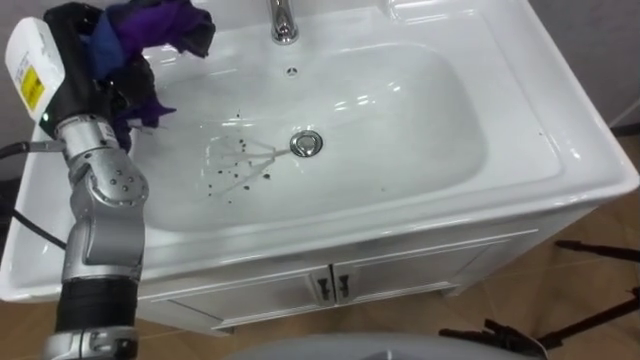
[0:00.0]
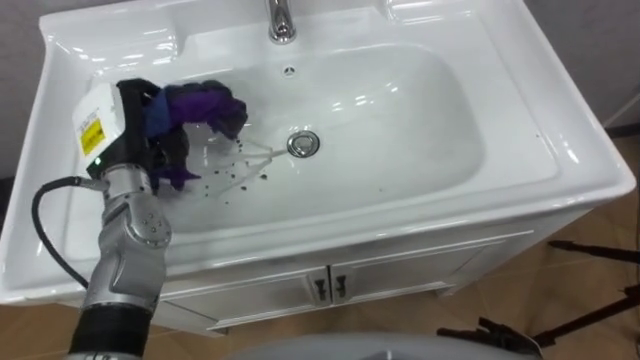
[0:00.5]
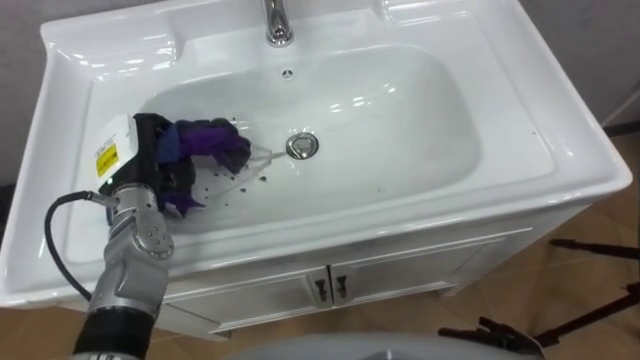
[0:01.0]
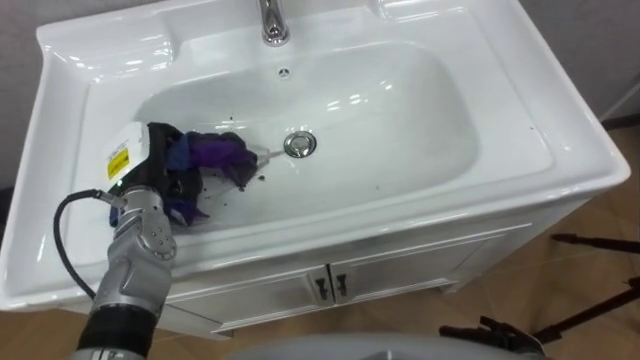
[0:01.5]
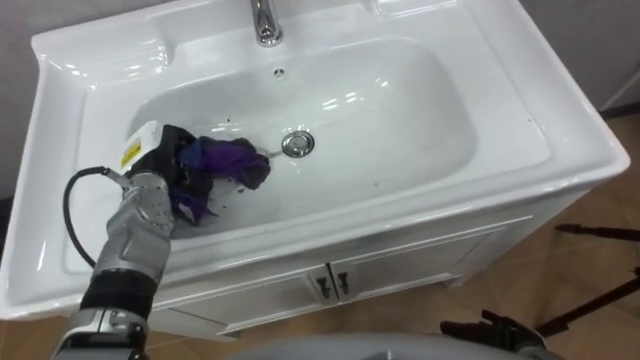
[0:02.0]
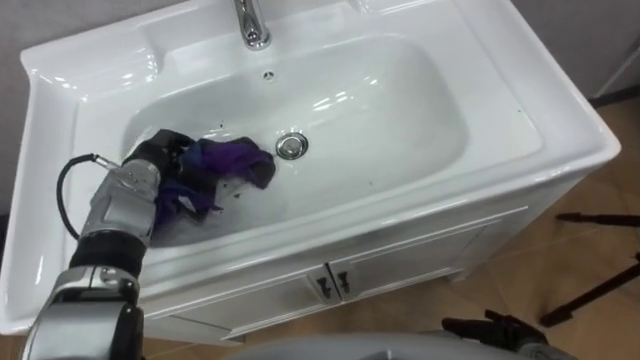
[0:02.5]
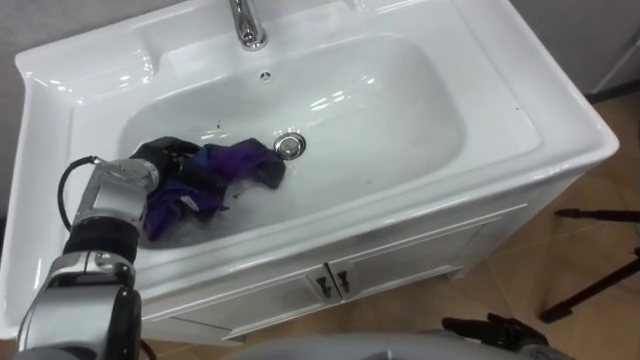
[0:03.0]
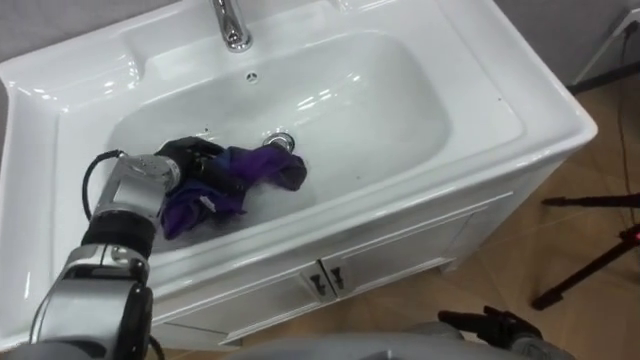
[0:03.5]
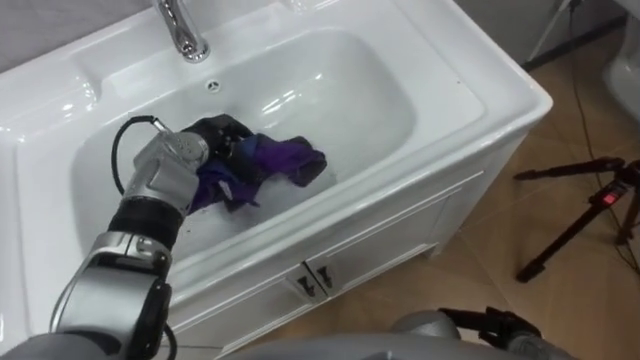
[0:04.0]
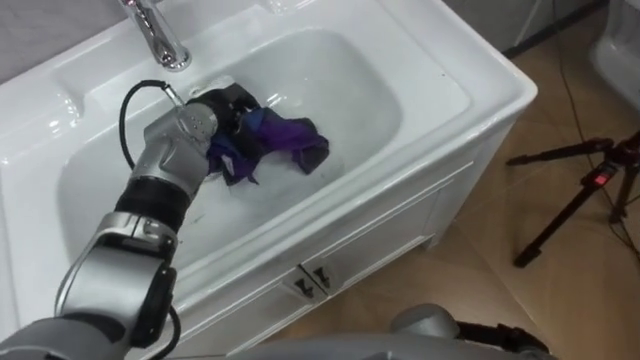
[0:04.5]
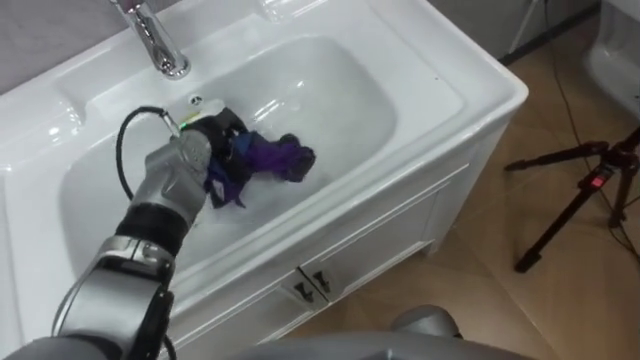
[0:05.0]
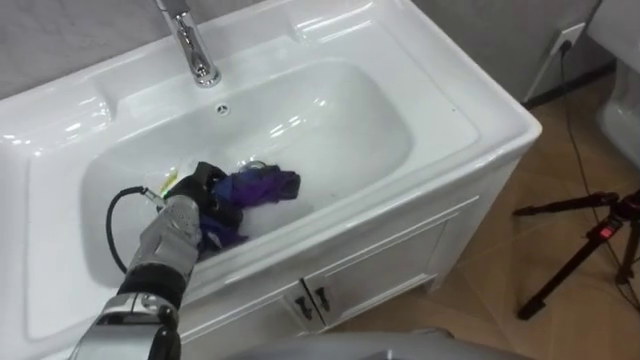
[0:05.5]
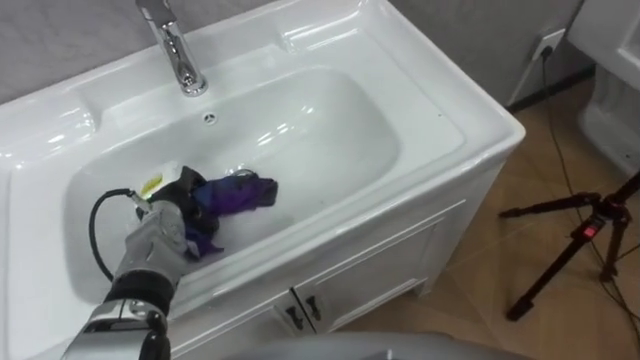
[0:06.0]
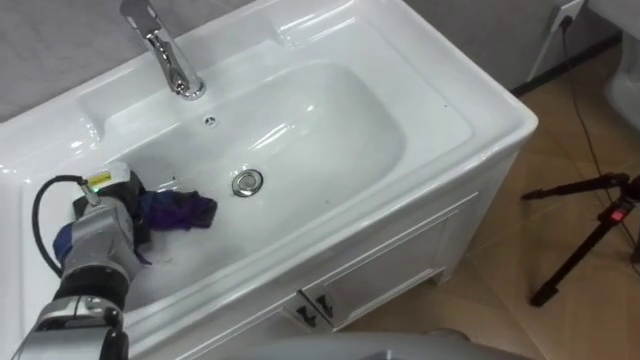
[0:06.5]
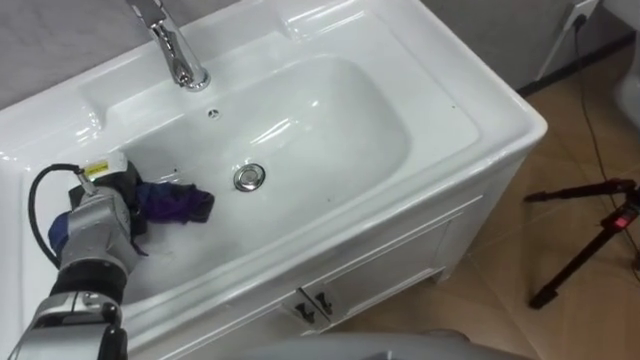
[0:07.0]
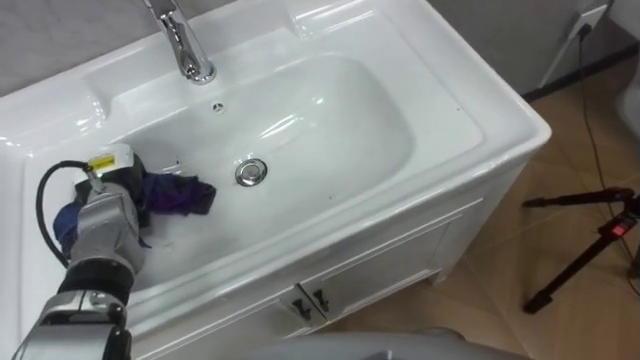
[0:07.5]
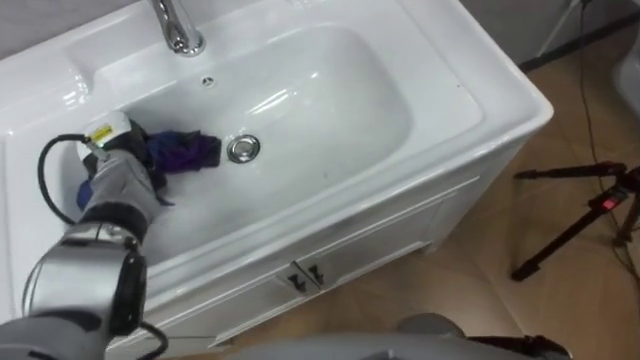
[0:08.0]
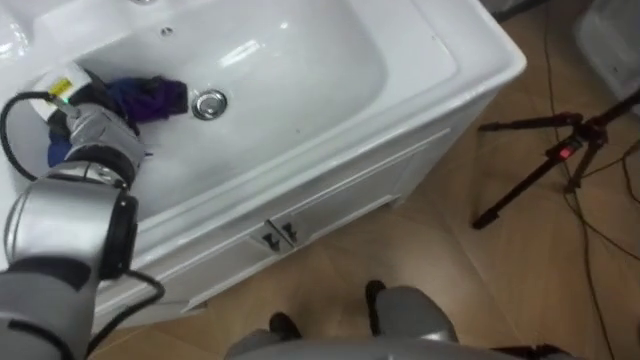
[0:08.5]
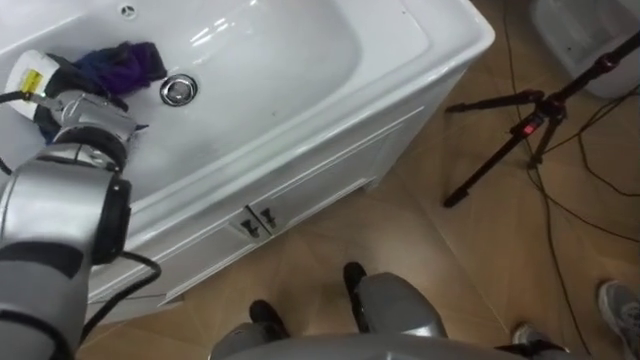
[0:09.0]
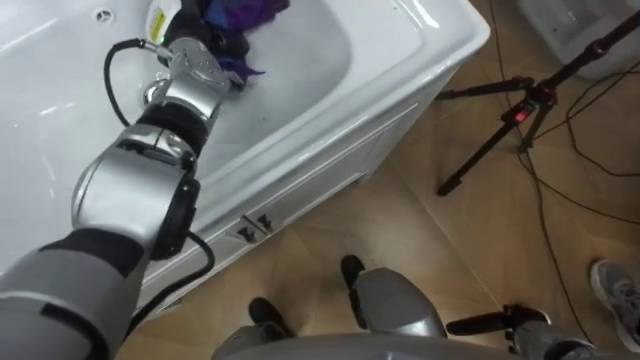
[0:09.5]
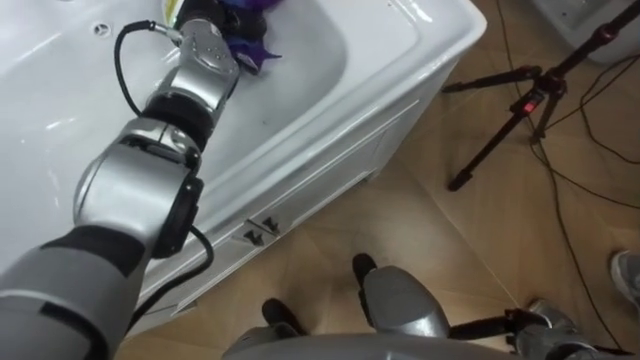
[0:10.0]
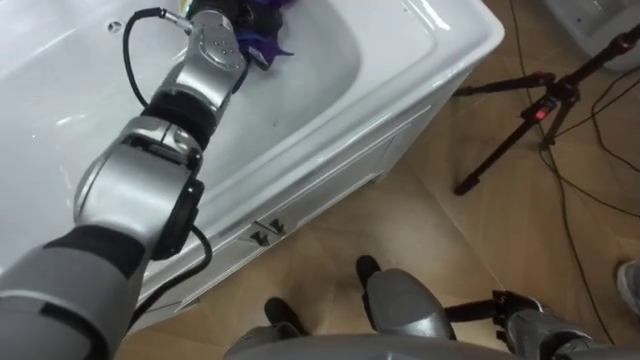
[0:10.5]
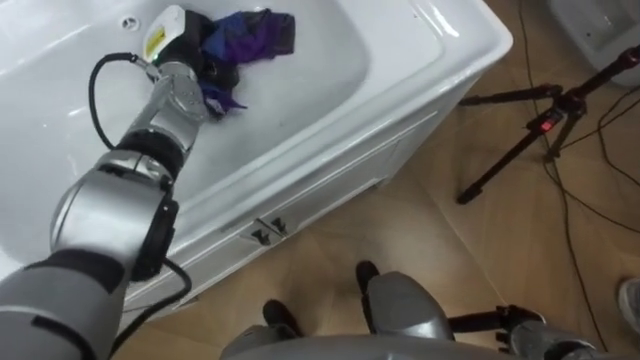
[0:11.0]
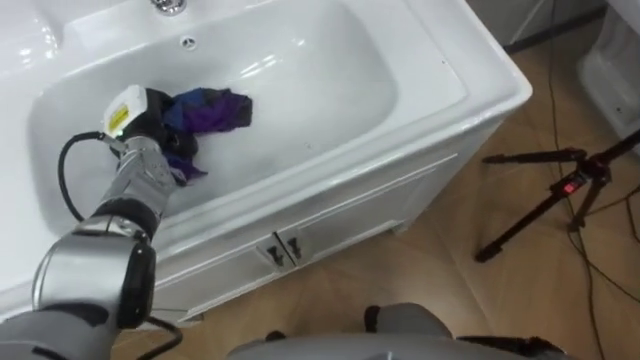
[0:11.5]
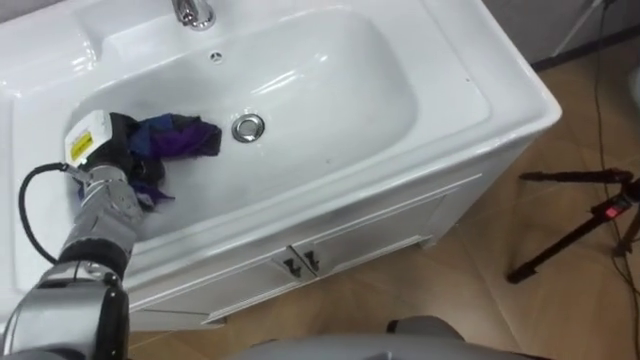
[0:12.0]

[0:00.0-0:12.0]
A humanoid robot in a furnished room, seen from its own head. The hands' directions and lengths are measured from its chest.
Task of the whole recording: Use the cloth on the right to wipe away the black stain in the sink.
0:00.0 to 0:02.0: The left hand goes roughly 15 cm downward.
0:02.0 to 0:04.0: The left hand is displaced to the right by about 5 cm.
0:04.0 to 0:06.0: The left hand travels backward, to the left and downward by approximately 10 cm.
0:06.0 to 0:08.0: The left hand moves to the left, forward and upward, approximately 10 cm.
0:08.0 to 0:10.0: The left hand is displaced to the right, upward and forward by approximately 25 cm.

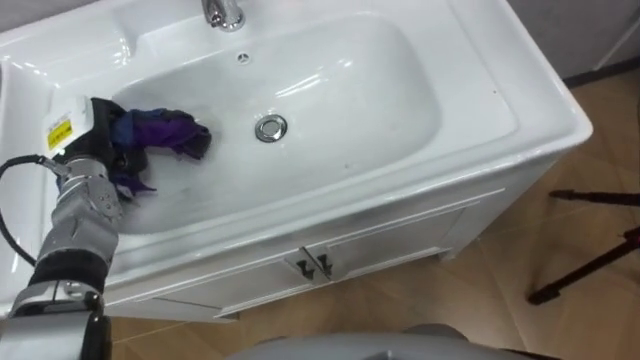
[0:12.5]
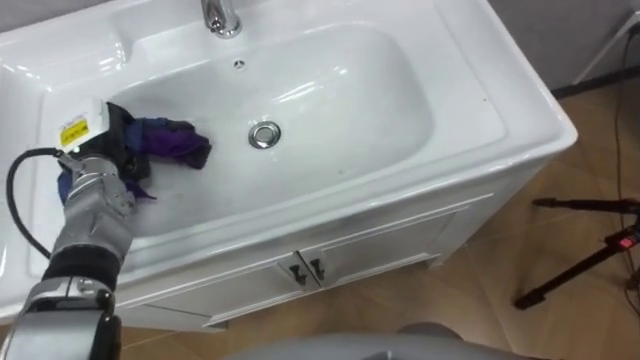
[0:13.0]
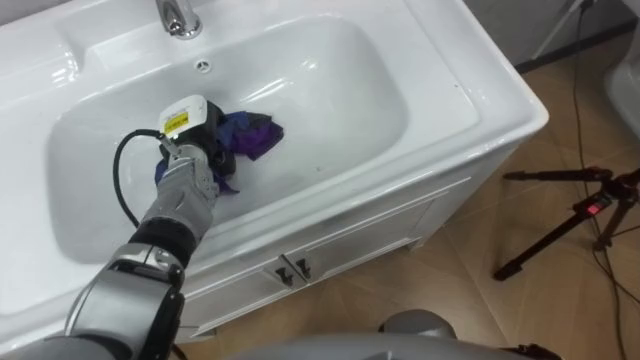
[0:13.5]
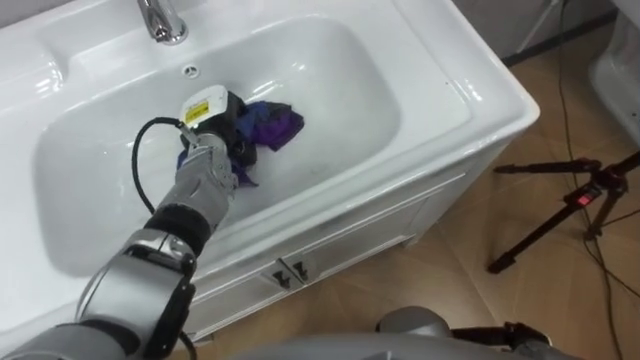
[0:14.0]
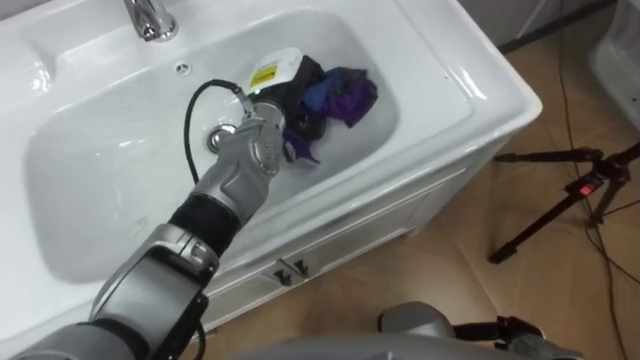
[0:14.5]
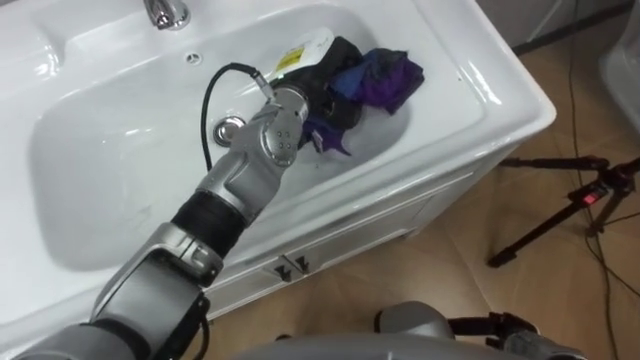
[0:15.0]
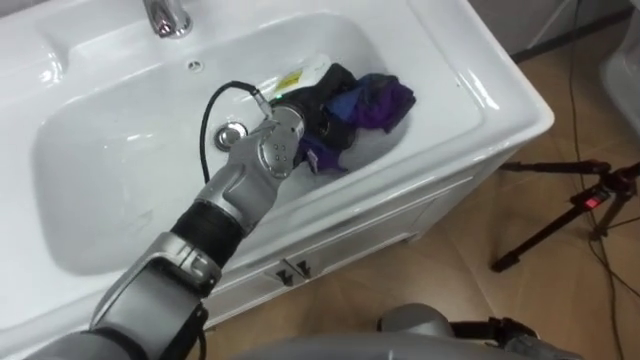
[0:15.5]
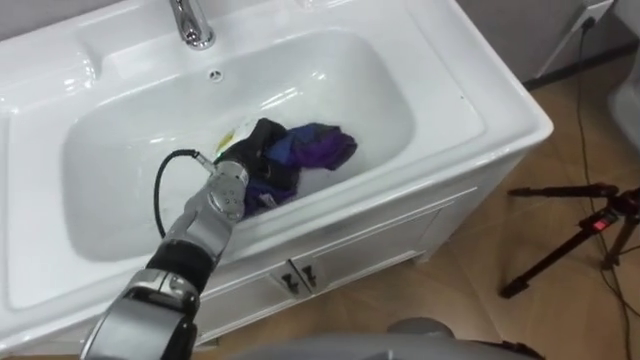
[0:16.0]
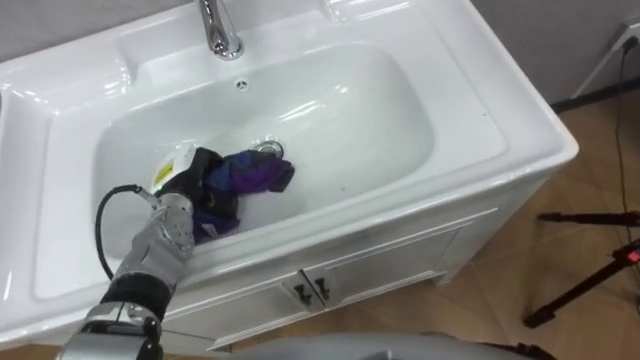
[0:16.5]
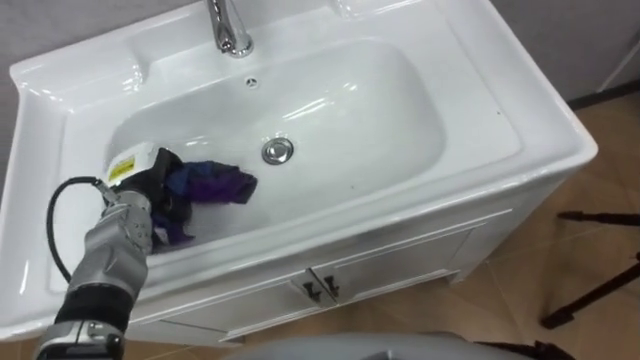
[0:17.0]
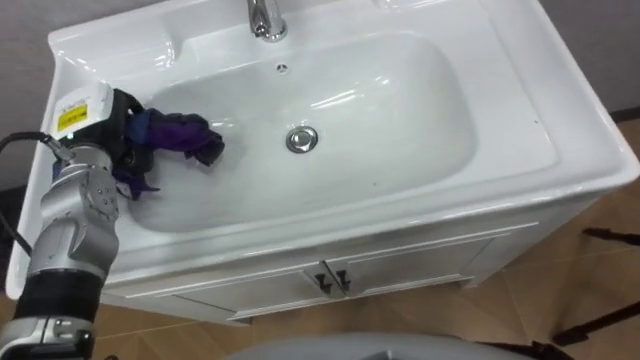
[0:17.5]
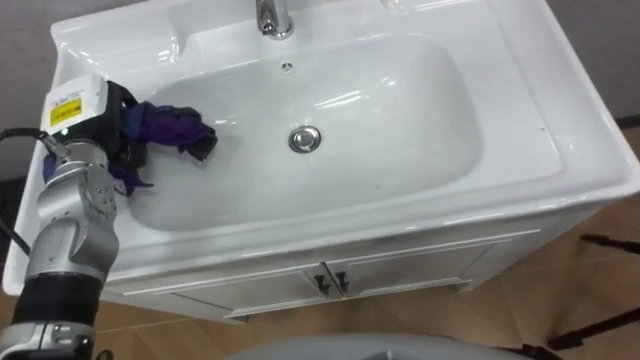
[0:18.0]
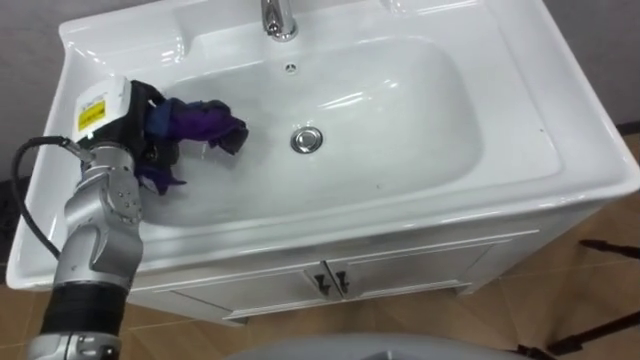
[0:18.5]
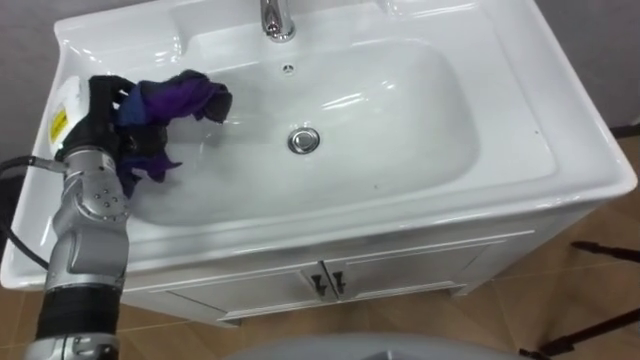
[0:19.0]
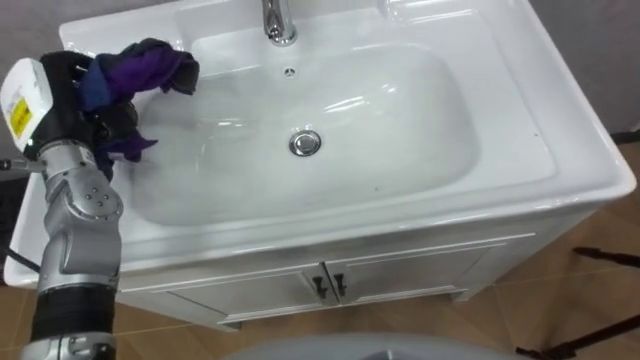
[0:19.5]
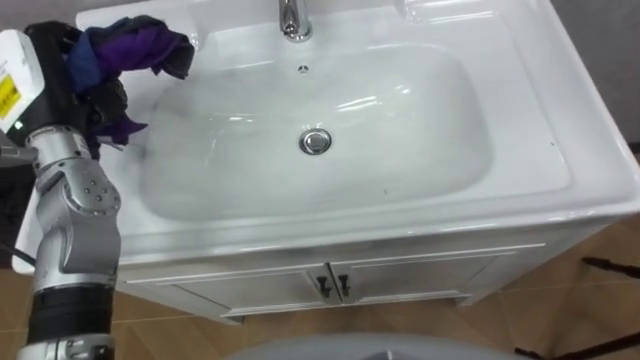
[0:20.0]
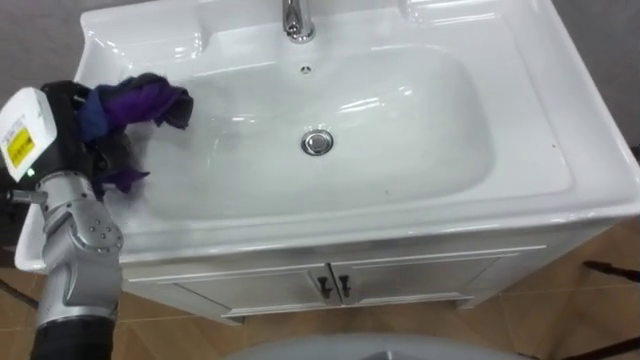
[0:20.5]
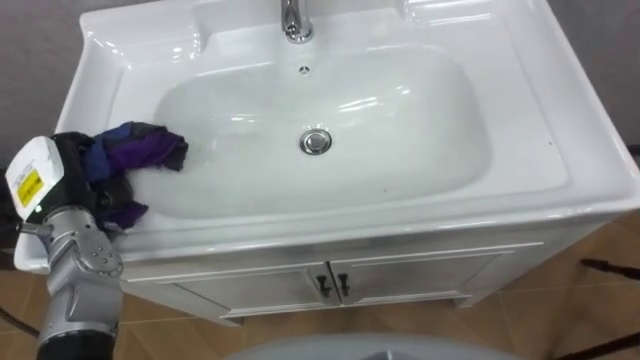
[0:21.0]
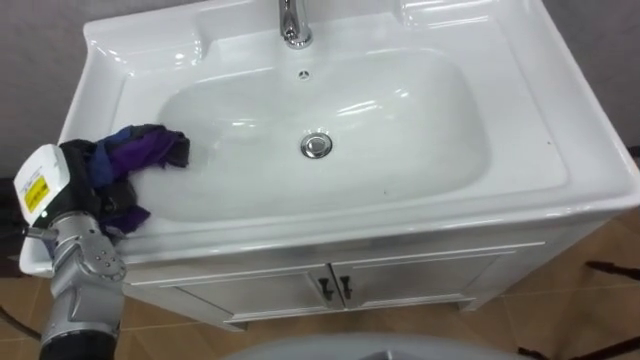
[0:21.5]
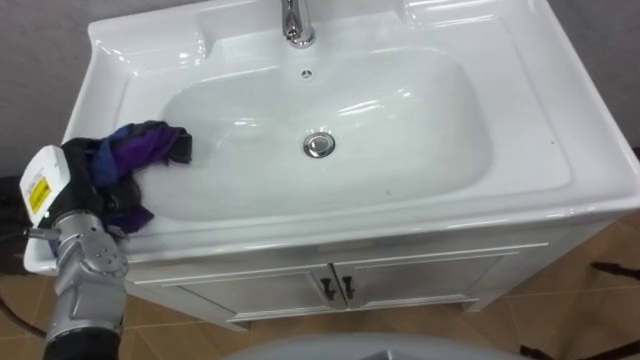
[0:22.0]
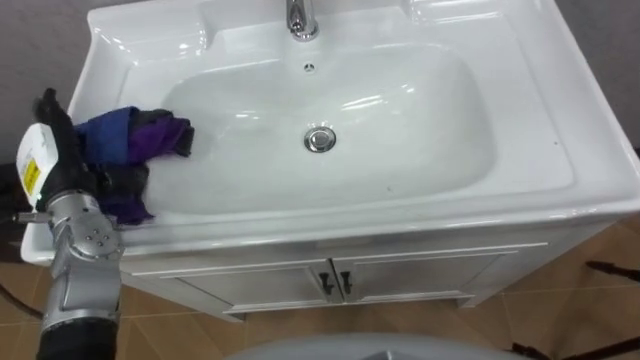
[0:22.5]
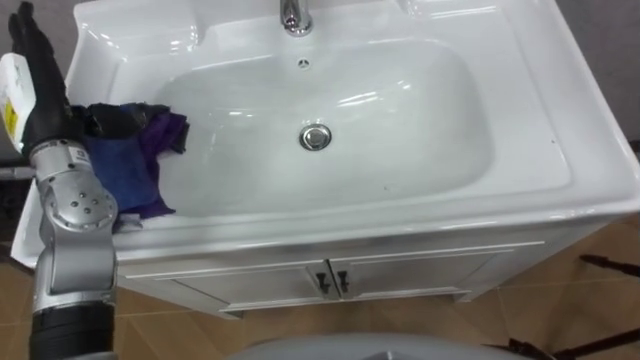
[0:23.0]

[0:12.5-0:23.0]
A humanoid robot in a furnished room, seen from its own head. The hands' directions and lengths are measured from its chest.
Task of the whole recording: Use the cloth on the right to wipe away the black stain in the sink.
0:12.5 to 0:14.5: The left hand shifts about 25 cm to the right.
0:14.5 to 0:16.5: The left hand travels to the left, downward and backward by approximately 20 cm.
0:16.5 to 0:19.0: The left hand moves upward and to the left, about 15 cm.
0:19.0 to 0:21.0: The left hand moves backward, roughly 5 cm, and travels upward and back again, some 5 cm each way.
0:21.0 to 0:23.0: The left hand goes roughly 10 cm upward, and opens its fingers.
